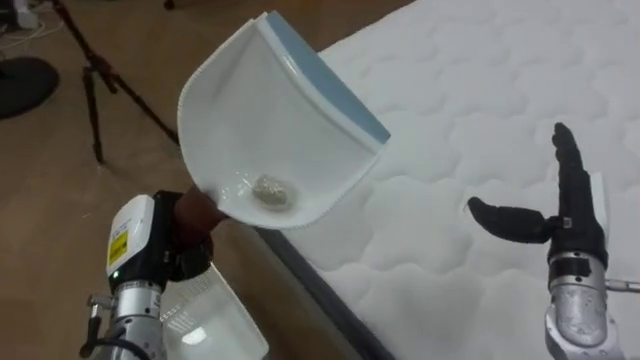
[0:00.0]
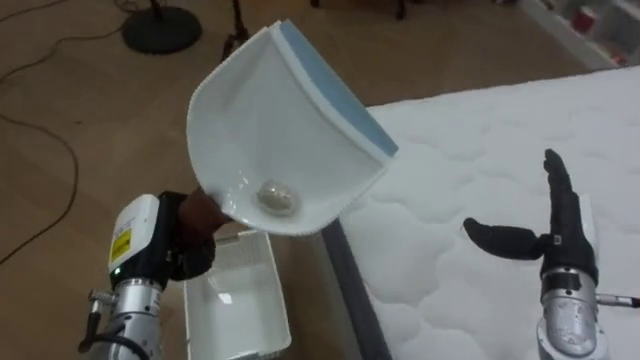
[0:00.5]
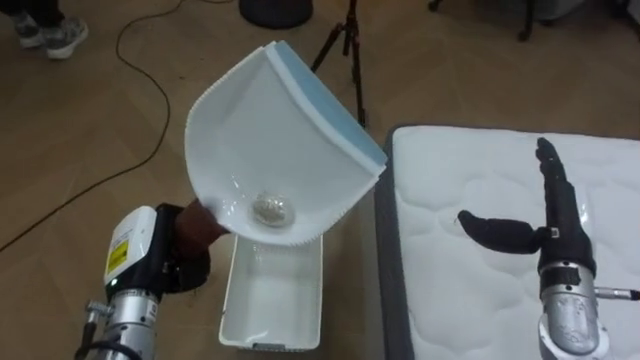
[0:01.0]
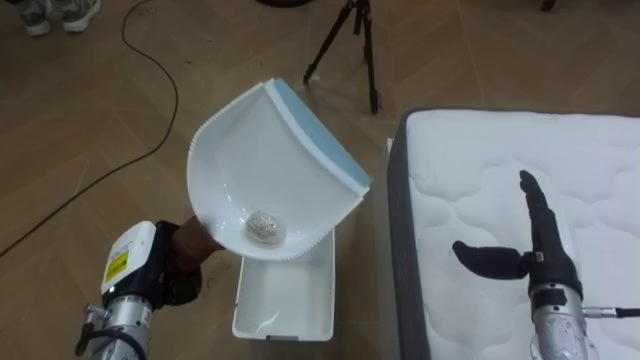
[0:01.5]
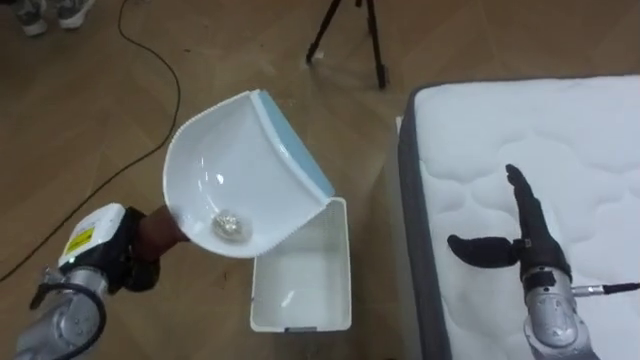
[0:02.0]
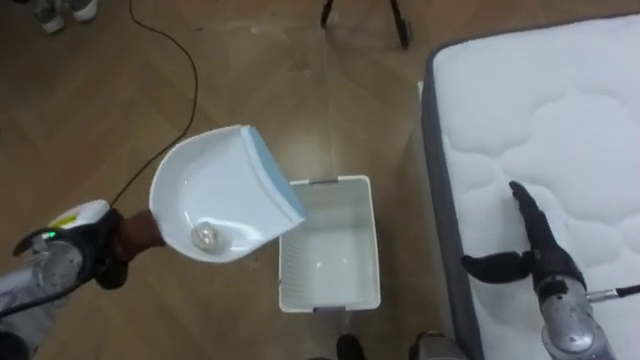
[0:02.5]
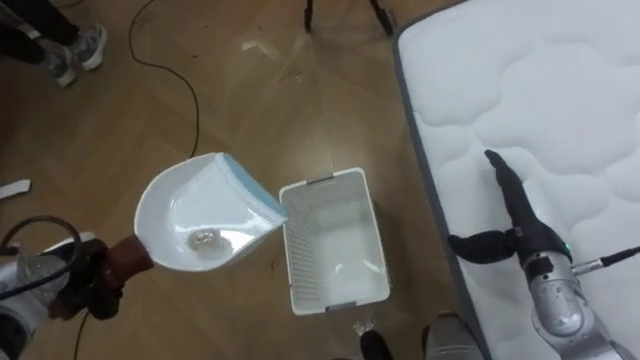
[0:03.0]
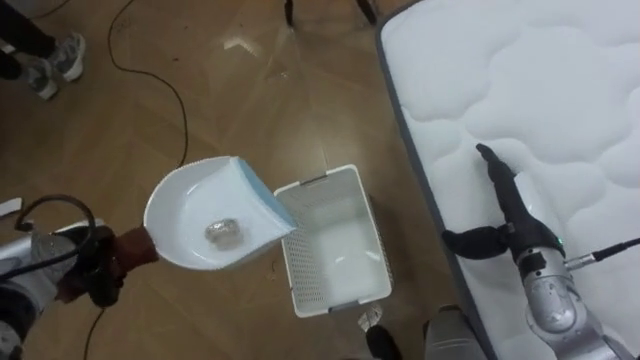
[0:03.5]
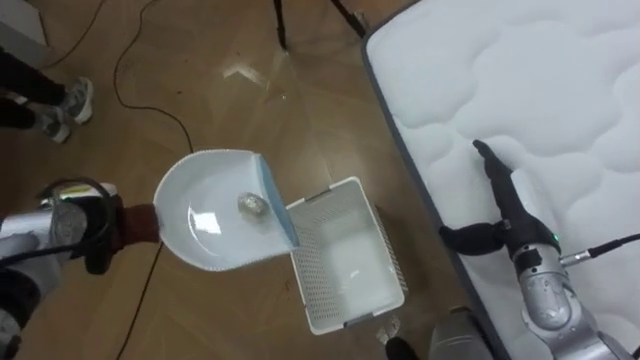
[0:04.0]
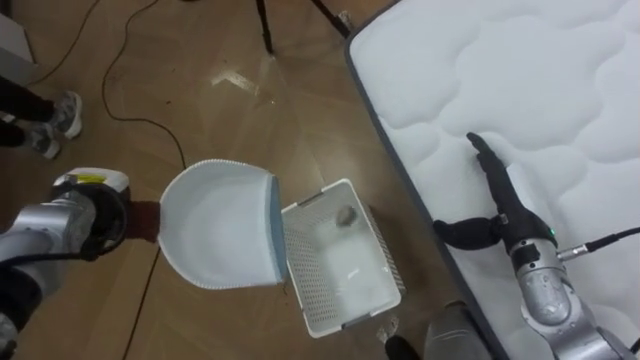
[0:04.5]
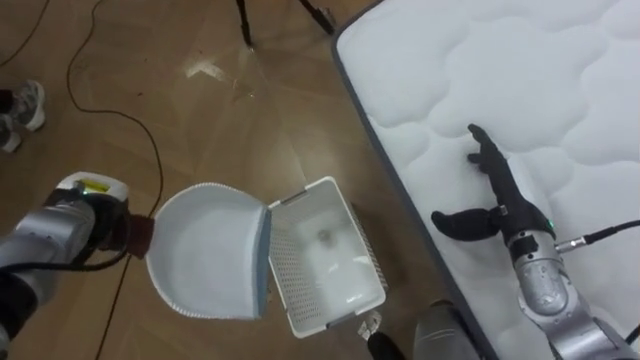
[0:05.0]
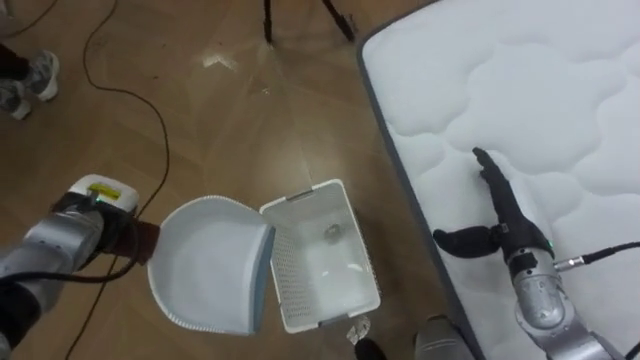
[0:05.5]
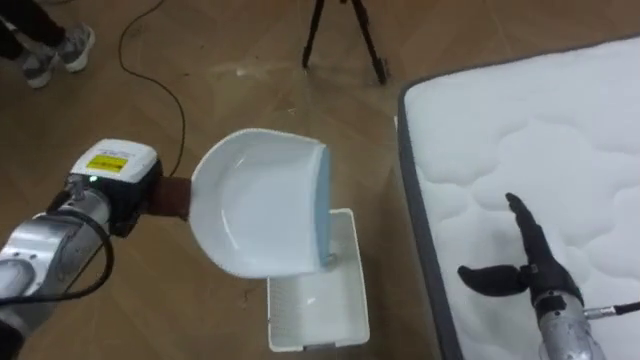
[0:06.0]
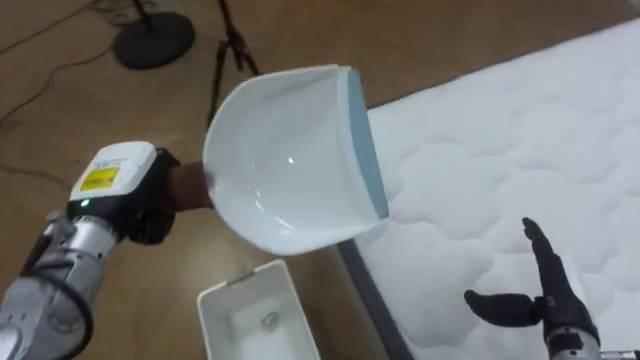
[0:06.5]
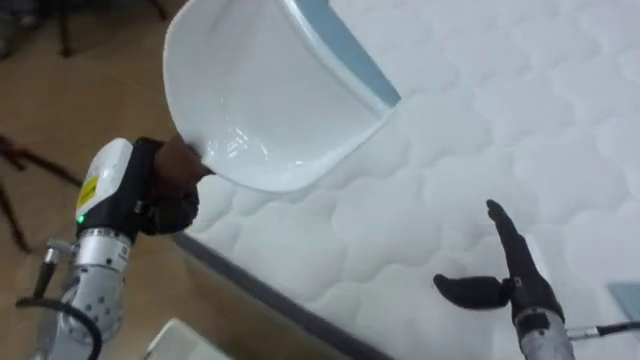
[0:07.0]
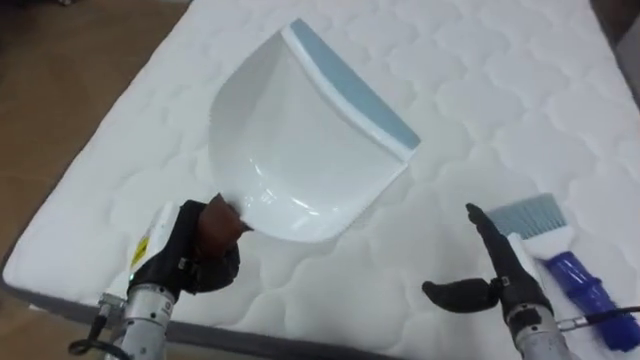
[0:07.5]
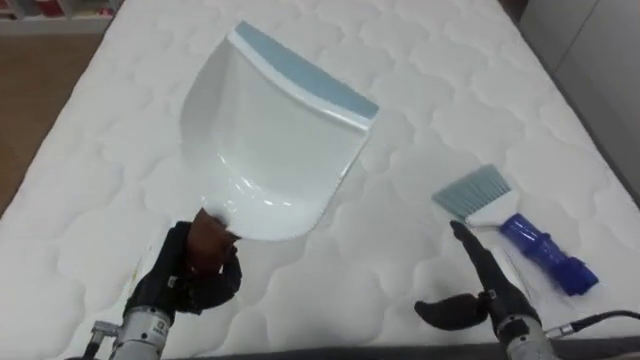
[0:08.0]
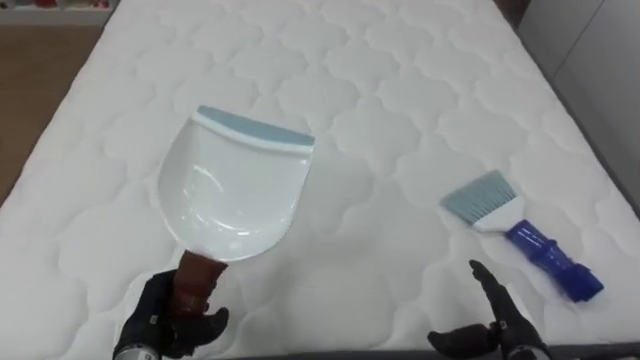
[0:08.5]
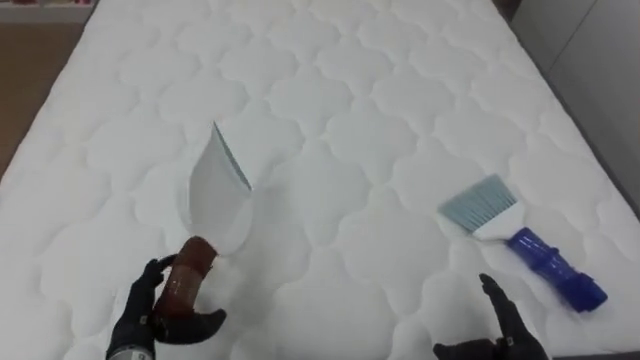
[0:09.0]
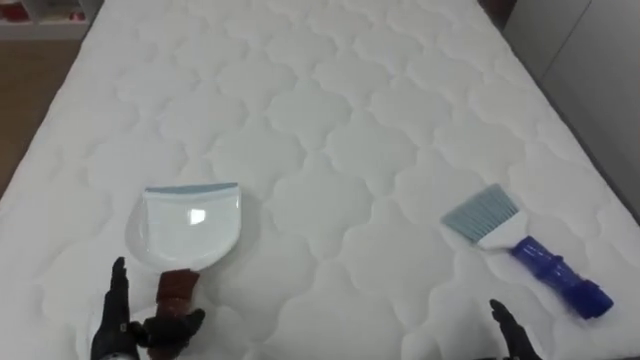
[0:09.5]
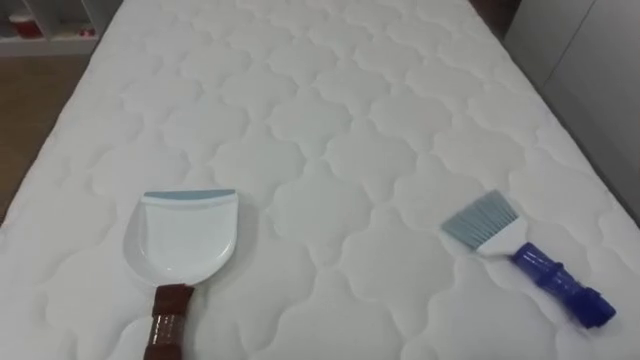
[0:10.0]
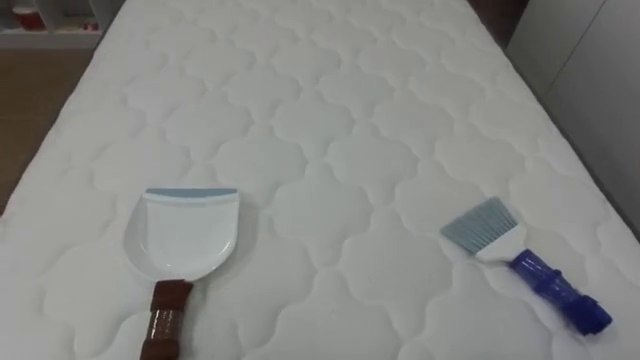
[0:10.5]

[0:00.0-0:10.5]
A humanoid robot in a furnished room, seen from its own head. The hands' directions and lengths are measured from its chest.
Task of the whole recording: Pick up the brush on your right and the dustpan on your left. Use the brush to sweep the crumpled paper on the bed into the dustpan, then turn left and empty it into the basket.
0:00.0 to 0:02.0: The robot faces about 45 degrees further to its left. The right hand moves downward, about 5 cm. The left hand travels to the left by roughly 5 cm.
0:02.0 to 0:04.0: The left hand shifts roughly 5 cm forward.
0:04.0 to 0:06.5: The right hand travels backward by roughly 10 cm; the left hand moves upward and to the right, roughly 10 cm.
0:06.5 to 0:08.5: The robot turns to its right by approximately 75 degrees. The right hand moves downward, approximately 5 cm. Meanwhile the left hand moves downward and backward, approximately 20 cm.

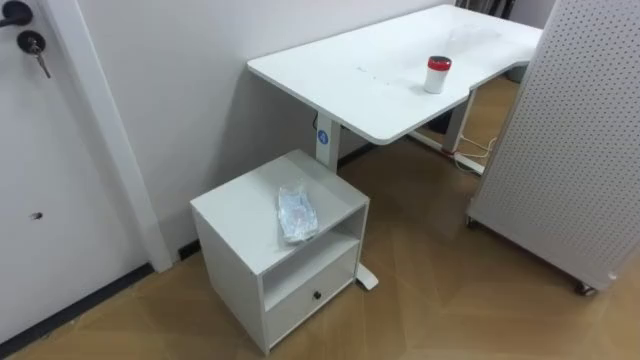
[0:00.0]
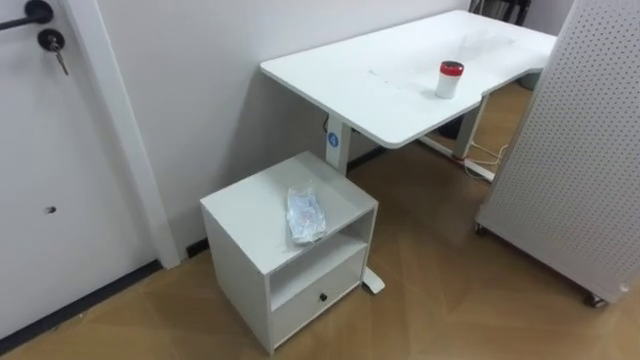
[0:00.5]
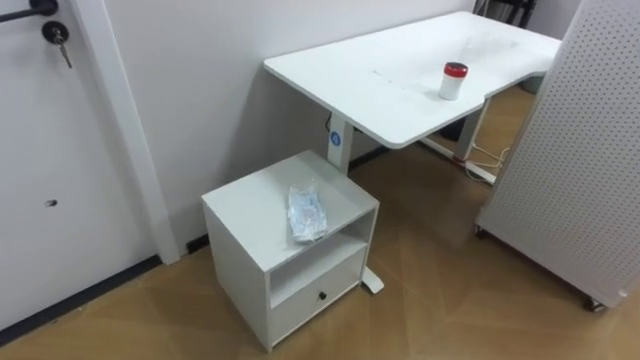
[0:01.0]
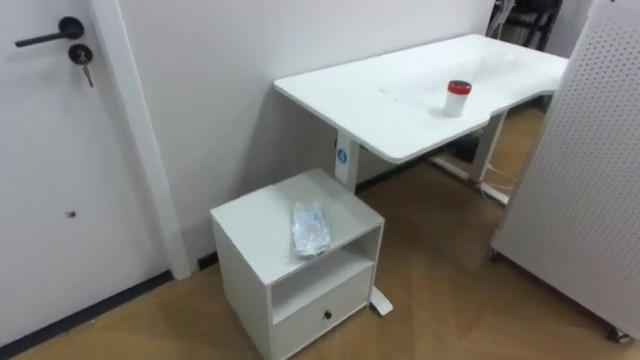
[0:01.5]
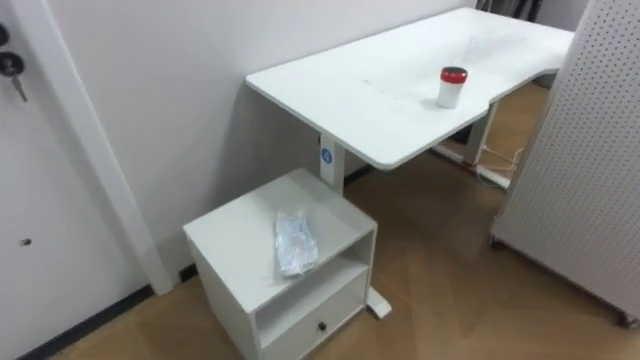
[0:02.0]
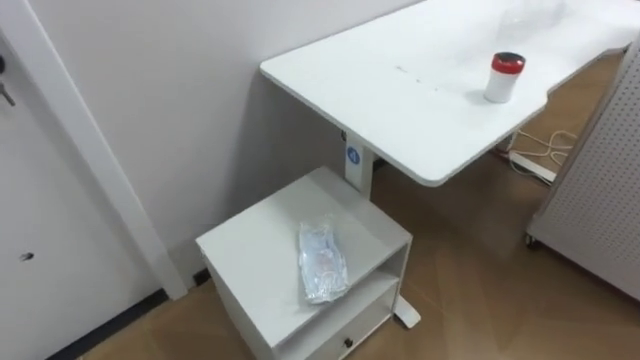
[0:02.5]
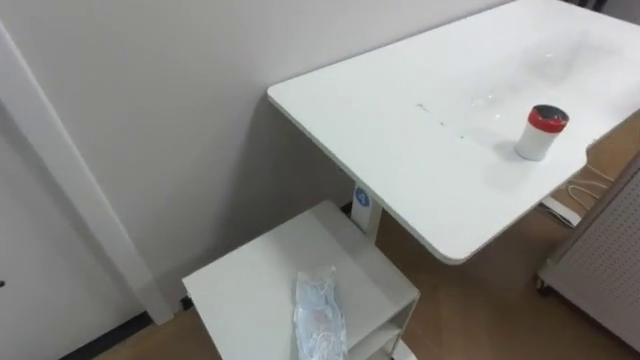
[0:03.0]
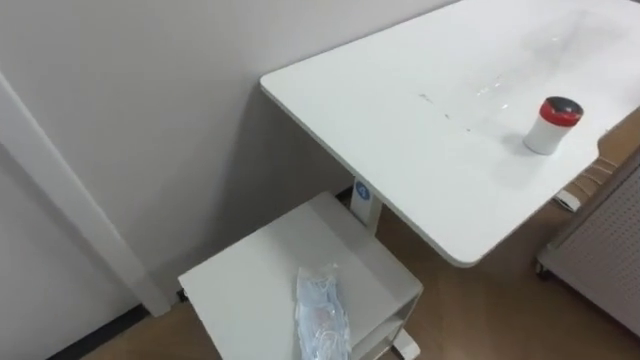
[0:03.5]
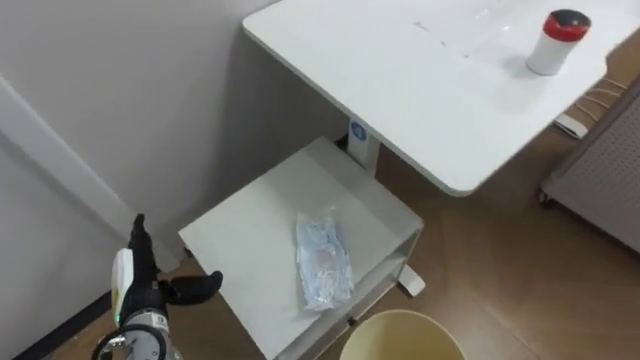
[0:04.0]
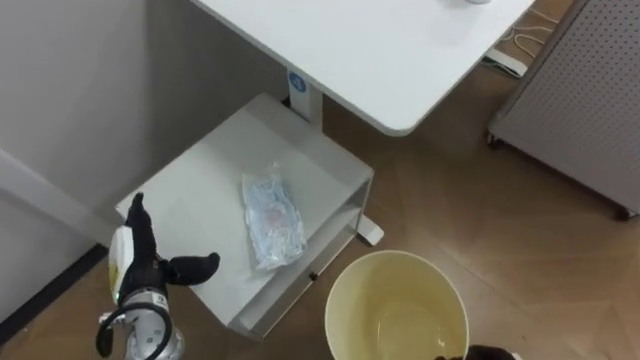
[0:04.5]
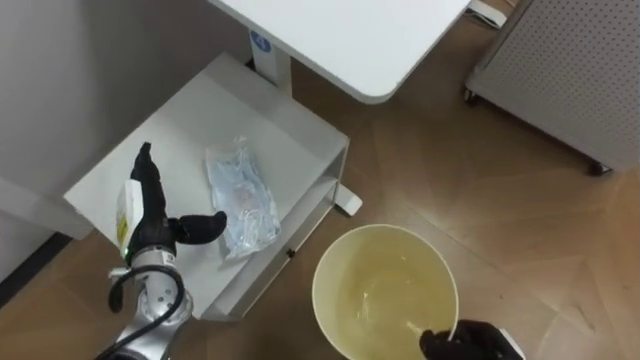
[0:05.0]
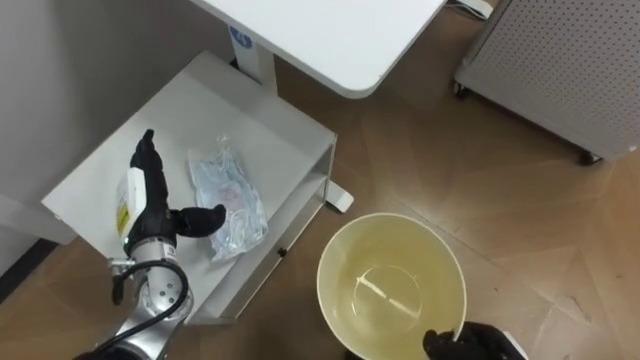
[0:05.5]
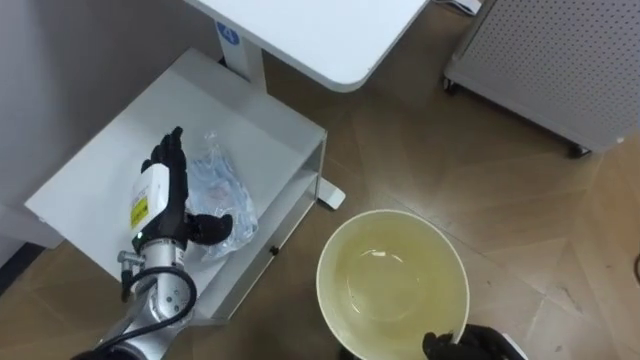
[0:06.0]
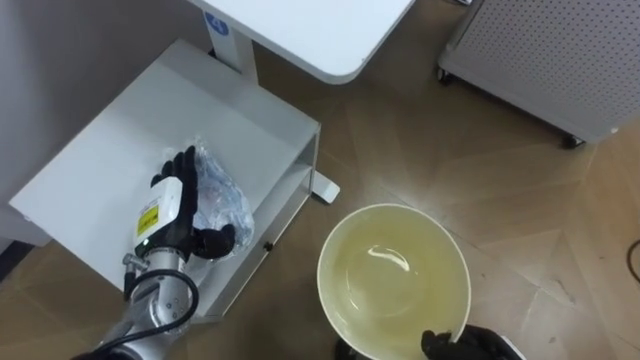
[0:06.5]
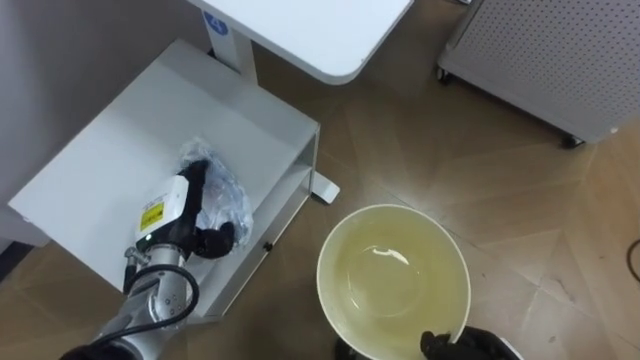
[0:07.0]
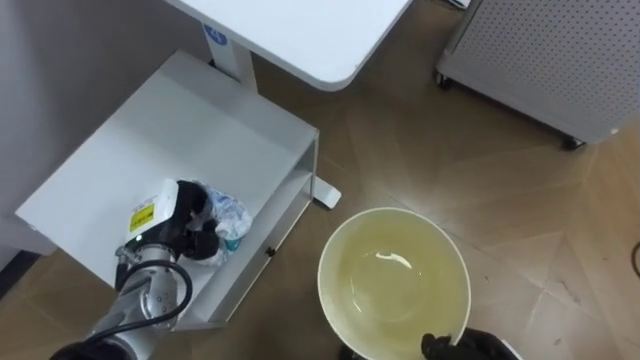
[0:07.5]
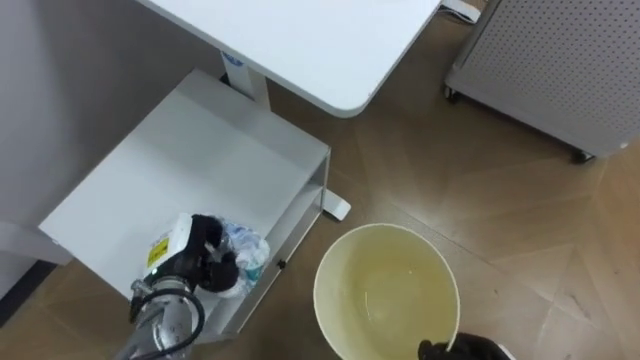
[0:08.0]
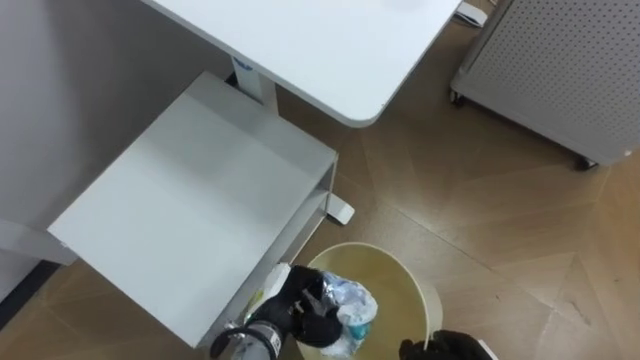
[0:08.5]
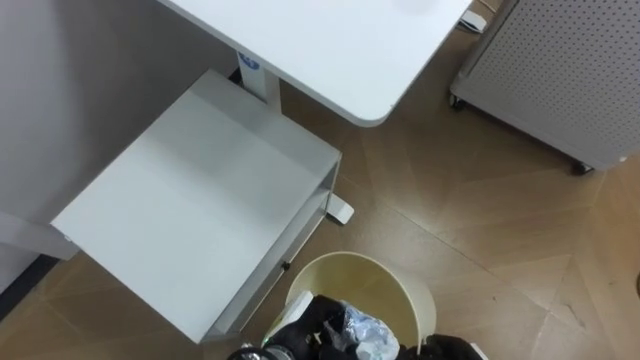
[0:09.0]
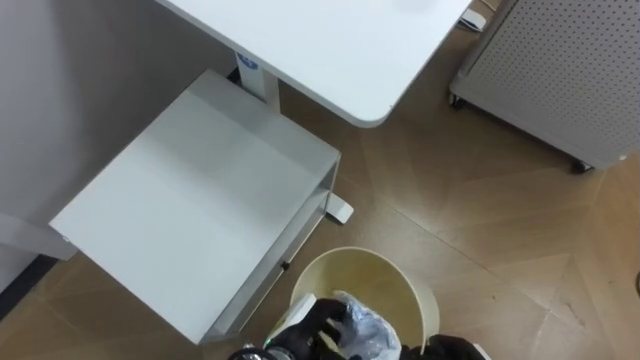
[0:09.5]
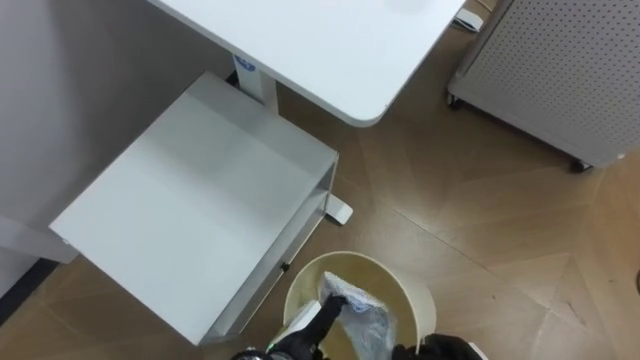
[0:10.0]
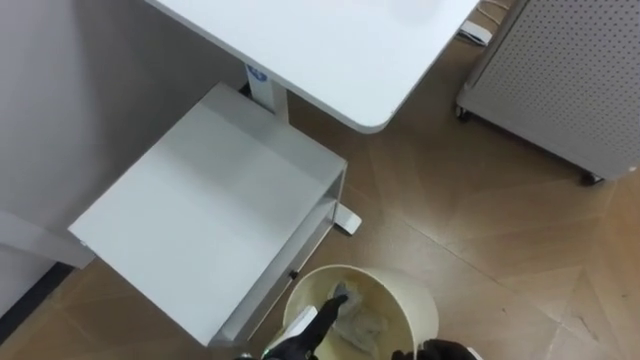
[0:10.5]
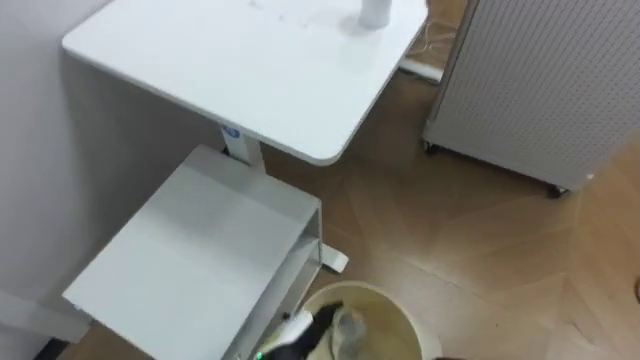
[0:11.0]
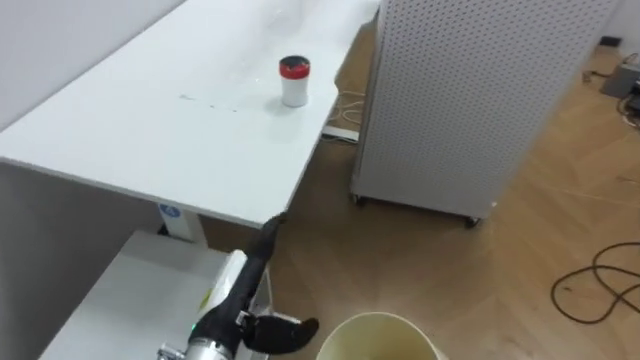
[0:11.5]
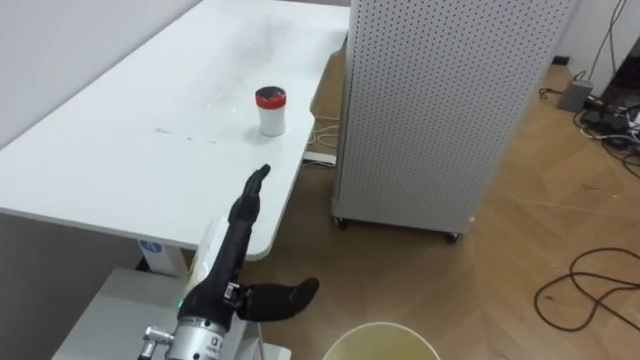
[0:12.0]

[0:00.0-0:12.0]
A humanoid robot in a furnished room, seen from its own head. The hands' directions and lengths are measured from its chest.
Task of the whole recording: Pick up the light blue package, the candy box, and the dark blue package separately, and put them into the trash can held in your right hand.
0:04.0 to 0:06.0: The left hand moves upward and forward, about 10 cm.
0:06.0 to 0:08.0: The left hand is displaced downward by about 5 cm, and closes up.
0:08.0 to 0:10.0: The left hand is displaced to the right, backward and downward by about 20 cm, and opens.
0:10.0 to 0:12.0: The robot's body swings some 30 degrees to its right. The left hand moves upward and to the left, about 20 cm.
